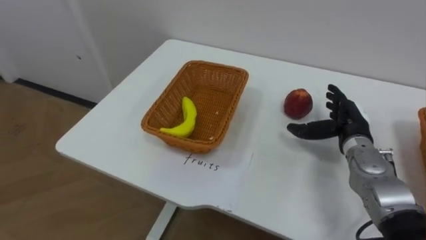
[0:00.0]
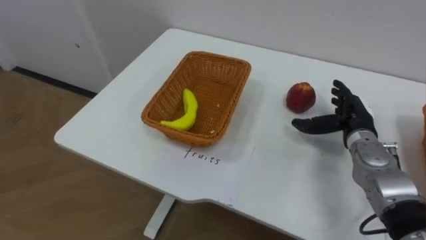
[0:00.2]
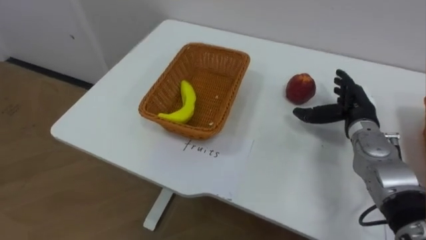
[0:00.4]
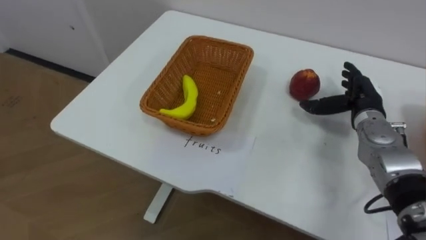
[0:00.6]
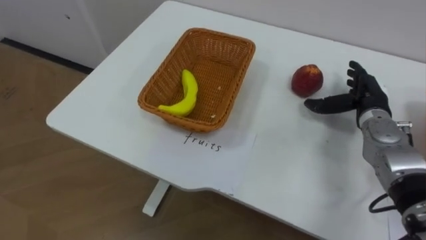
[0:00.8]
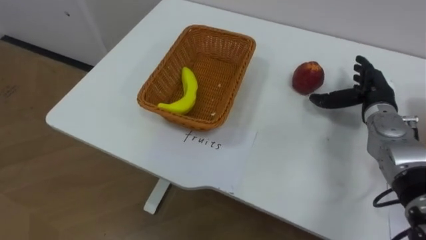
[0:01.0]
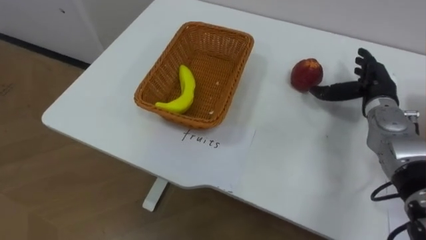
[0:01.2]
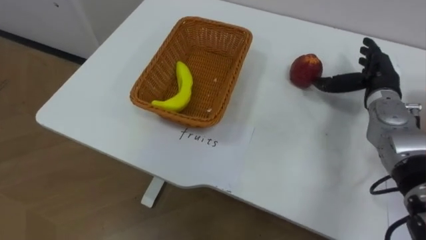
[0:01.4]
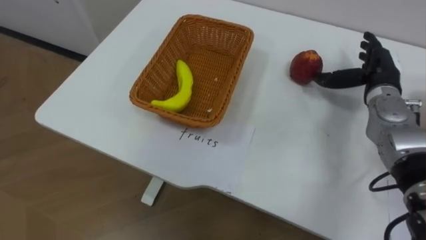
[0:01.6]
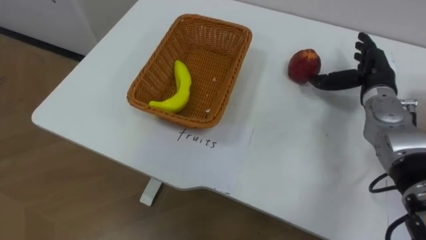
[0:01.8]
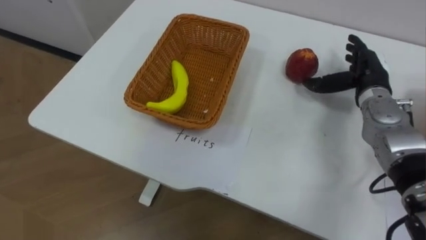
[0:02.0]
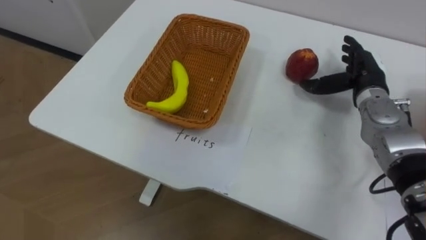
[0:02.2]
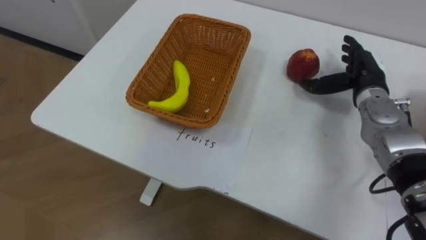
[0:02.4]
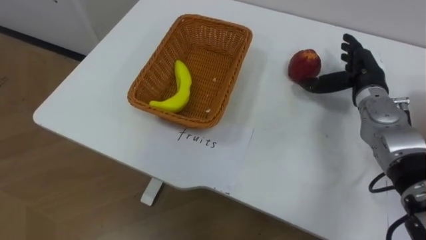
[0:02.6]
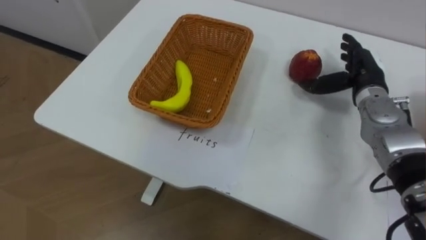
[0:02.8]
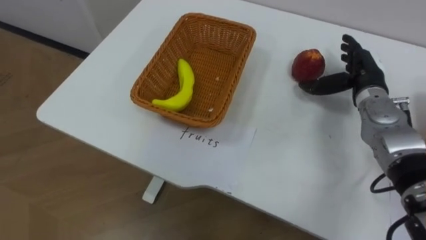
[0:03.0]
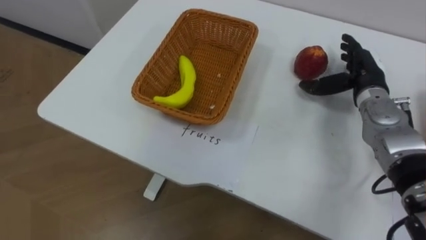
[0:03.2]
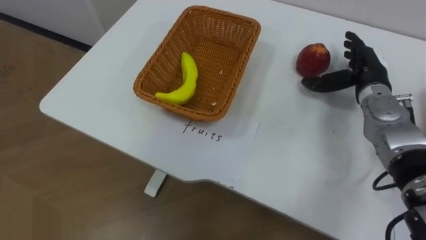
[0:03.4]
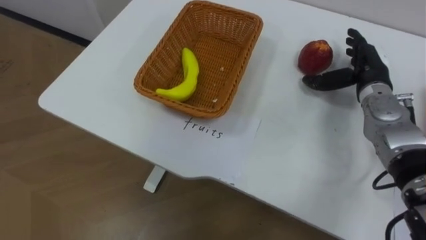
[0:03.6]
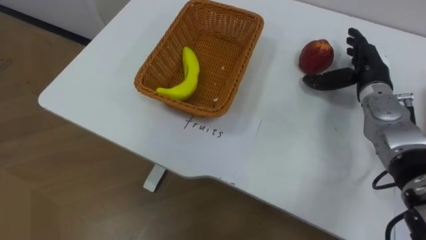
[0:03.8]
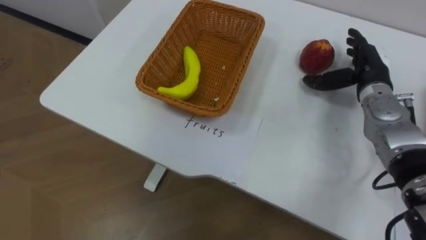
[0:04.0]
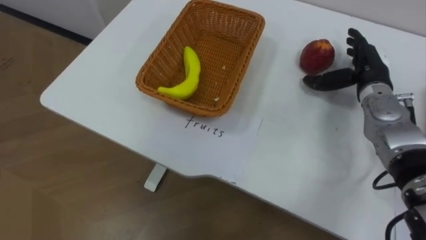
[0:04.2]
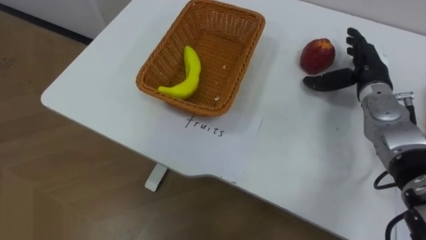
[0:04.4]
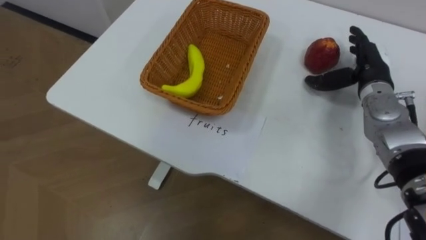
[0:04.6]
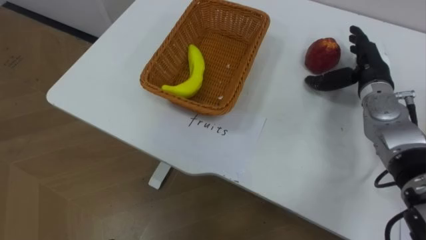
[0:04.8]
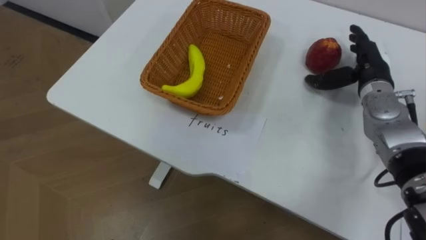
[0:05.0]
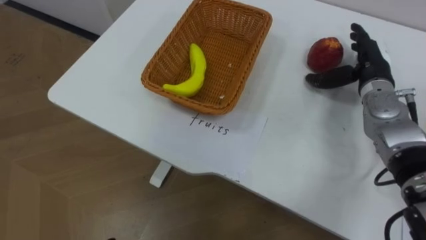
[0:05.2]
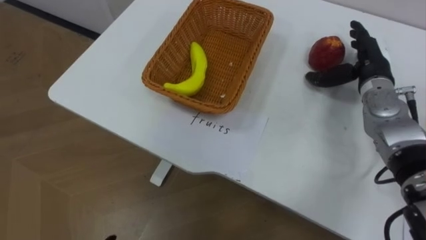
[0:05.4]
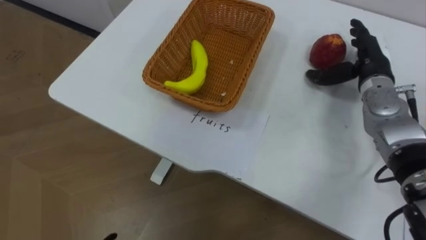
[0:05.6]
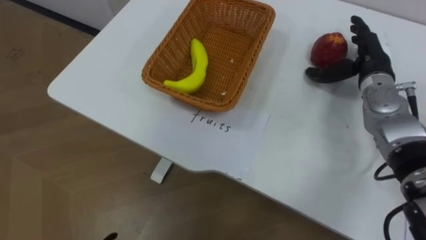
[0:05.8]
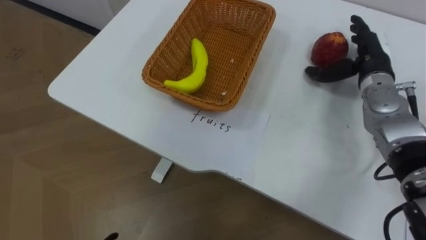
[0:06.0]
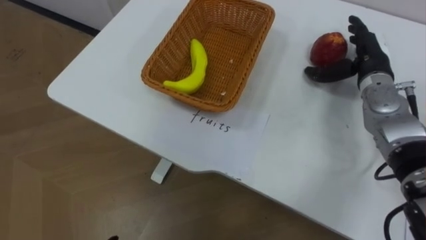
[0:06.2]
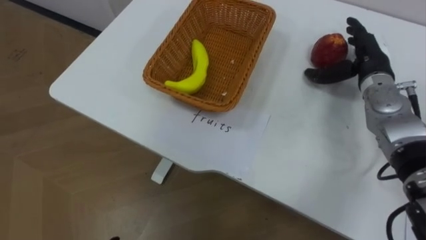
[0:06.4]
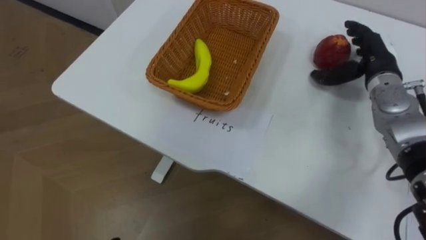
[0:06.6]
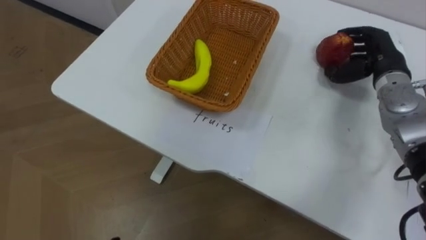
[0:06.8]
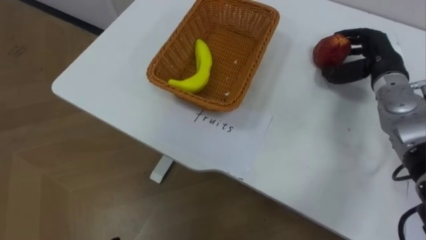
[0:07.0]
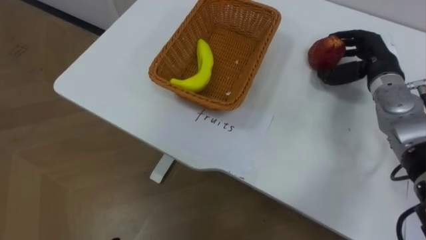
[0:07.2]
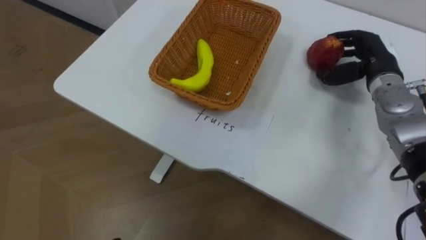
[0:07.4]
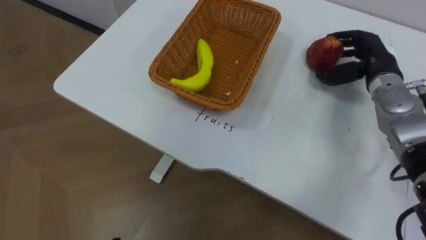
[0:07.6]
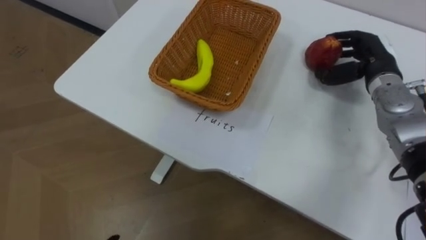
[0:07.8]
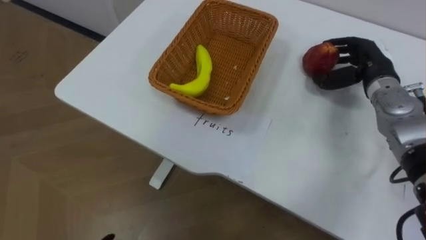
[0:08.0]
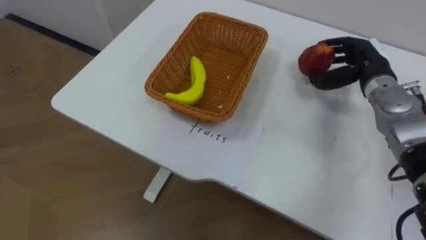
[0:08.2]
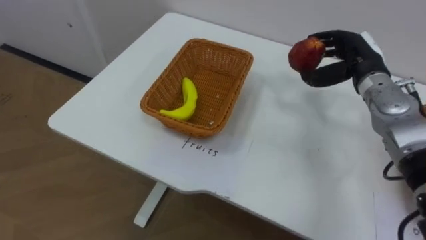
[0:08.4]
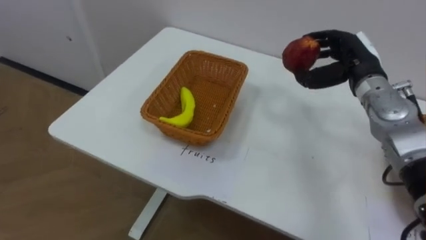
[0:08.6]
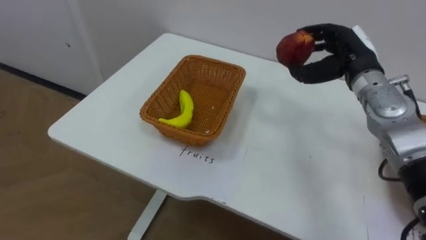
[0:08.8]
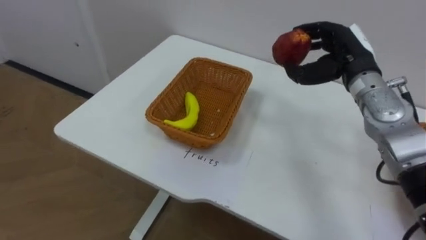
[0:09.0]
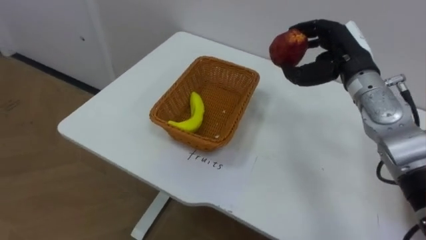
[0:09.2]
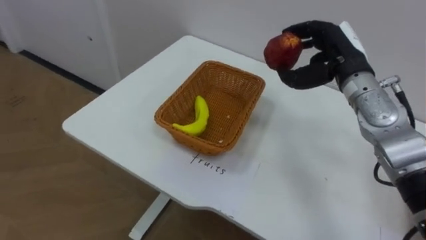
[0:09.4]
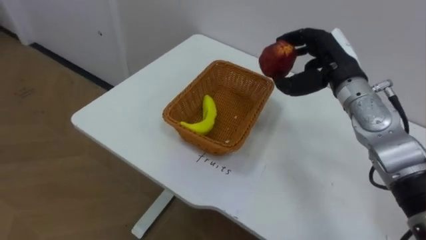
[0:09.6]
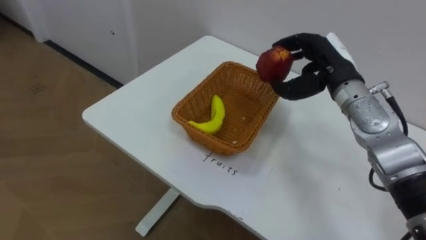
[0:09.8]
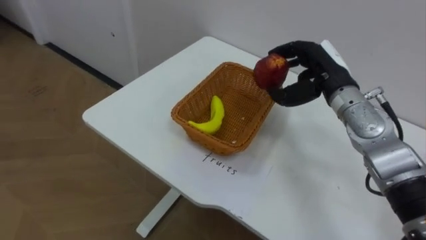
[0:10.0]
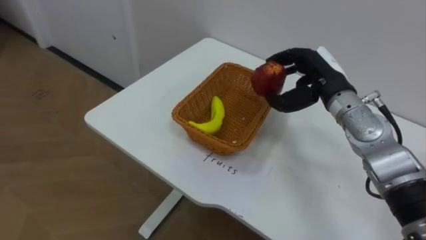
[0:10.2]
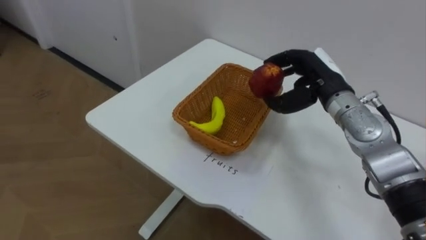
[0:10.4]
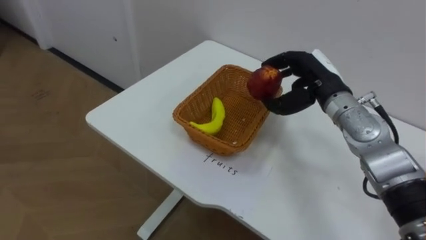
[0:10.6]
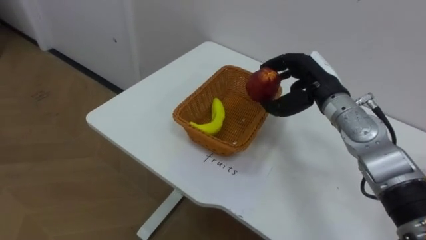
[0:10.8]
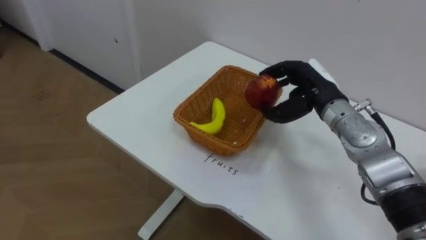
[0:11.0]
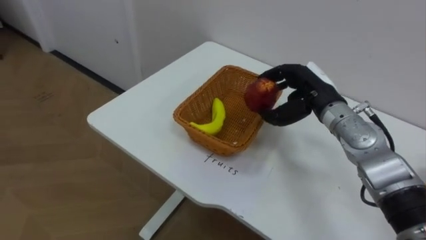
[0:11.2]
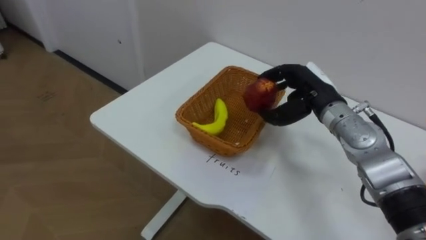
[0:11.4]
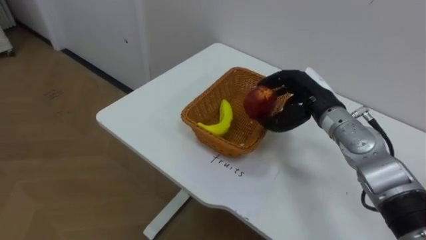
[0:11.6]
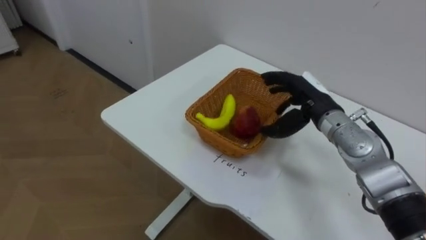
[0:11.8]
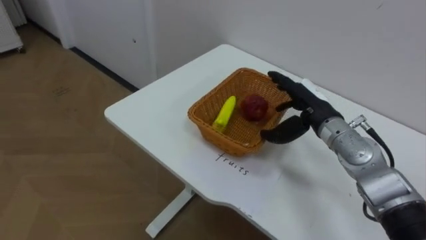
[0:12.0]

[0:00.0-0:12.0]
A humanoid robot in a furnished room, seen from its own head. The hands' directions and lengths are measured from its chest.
Task of the whole recording: Separate the items on the table and place them into the two baskets.
0:00.0 to 0:01.6: The right hand moves upward and forward, about 10 cm.
0:06.0 to 0:07.6: The right hand closes.
0:07.6 to 0:09.0: The right hand travels to the left by about 5 cm.
0:09.0 to 0:10.4: The right hand moves approximately 5 cm.
0:10.4 to 0:12.0: The right hand shifts by about 5 cm, and opens up.

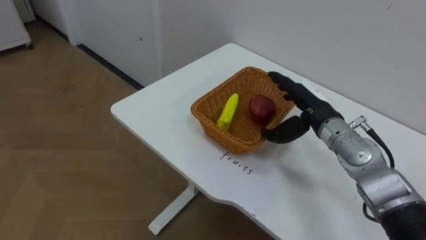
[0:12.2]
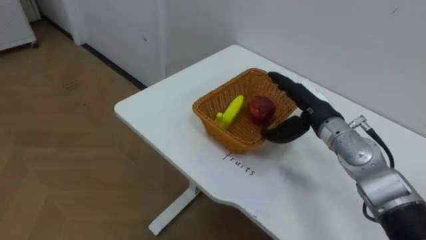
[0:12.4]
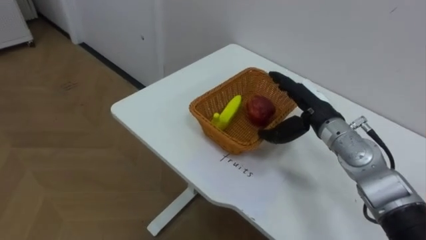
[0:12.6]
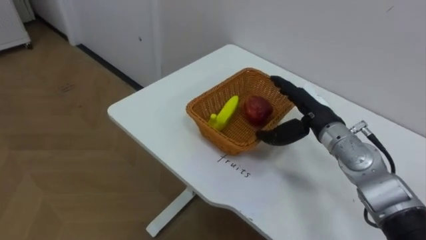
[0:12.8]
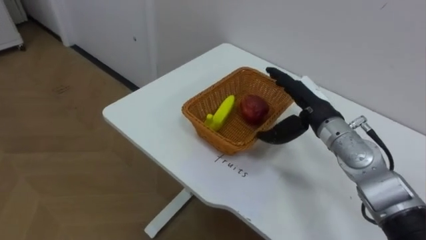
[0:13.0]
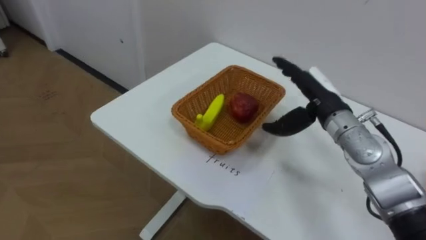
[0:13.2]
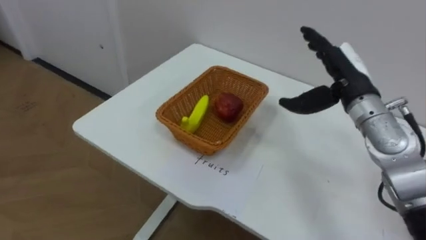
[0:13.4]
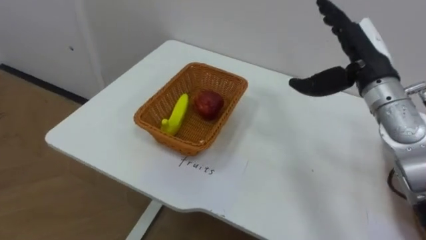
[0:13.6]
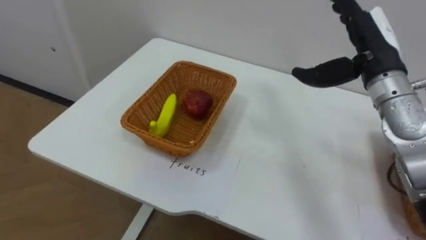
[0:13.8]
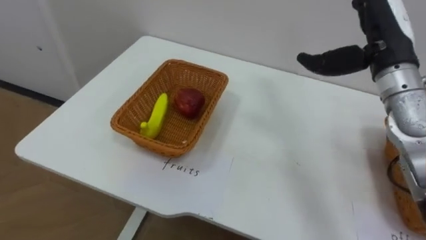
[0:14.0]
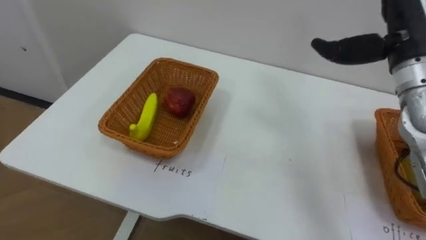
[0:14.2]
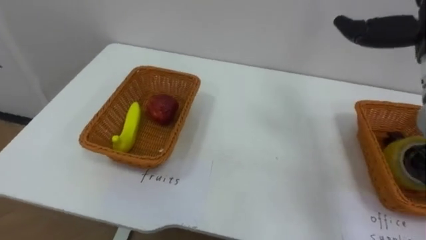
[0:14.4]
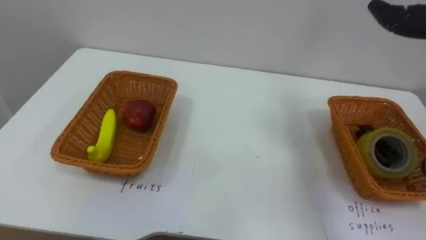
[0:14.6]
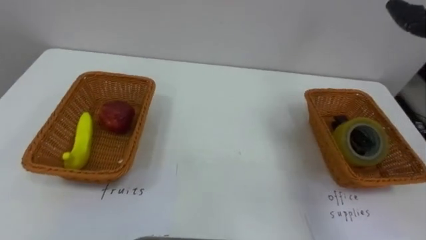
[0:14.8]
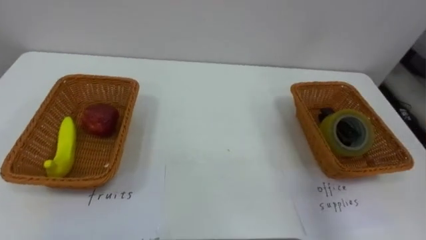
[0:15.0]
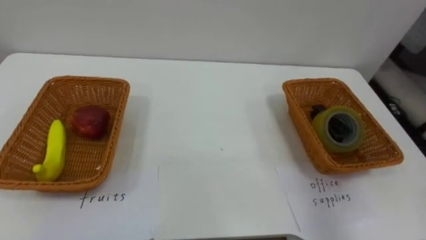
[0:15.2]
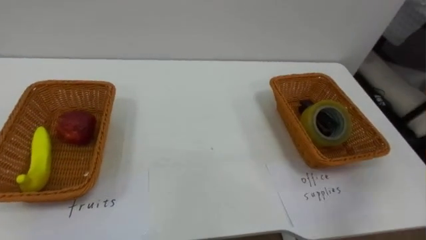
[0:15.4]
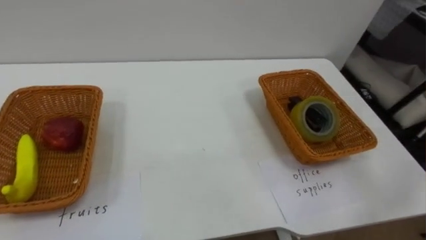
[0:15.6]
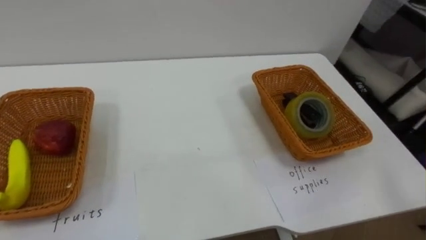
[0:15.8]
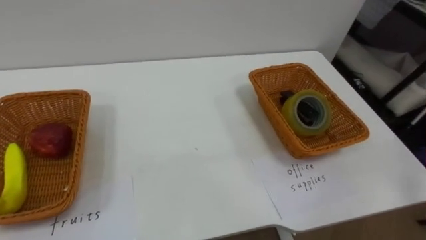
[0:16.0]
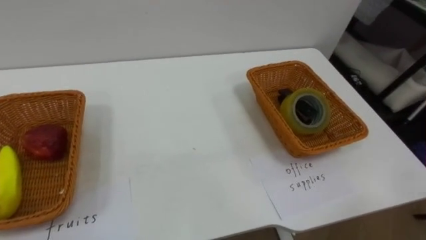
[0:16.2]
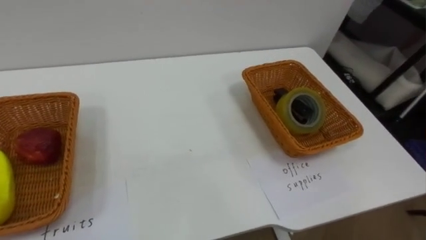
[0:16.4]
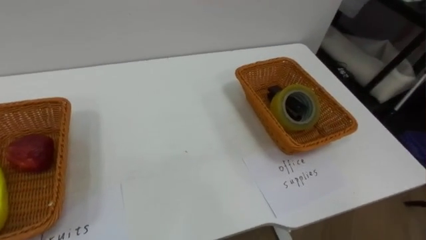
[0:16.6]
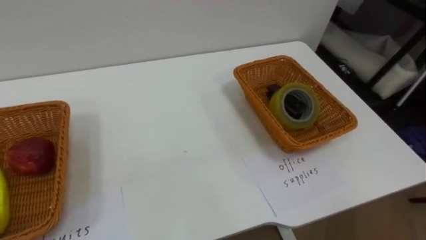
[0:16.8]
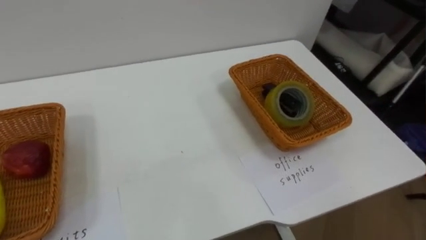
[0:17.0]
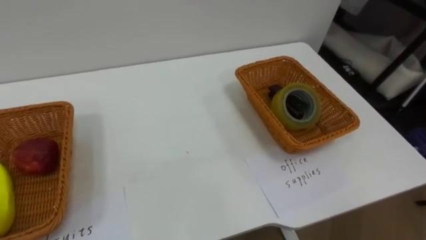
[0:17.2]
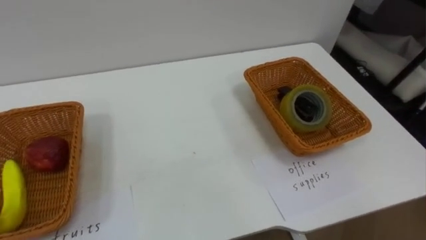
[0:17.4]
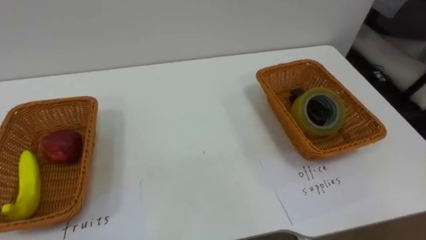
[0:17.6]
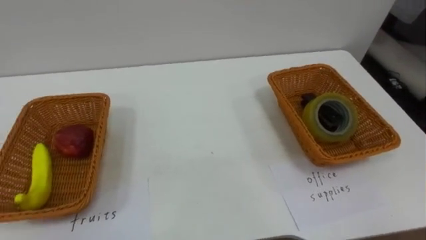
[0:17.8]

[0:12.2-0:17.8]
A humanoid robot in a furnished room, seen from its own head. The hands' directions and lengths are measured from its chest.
Task of the whole recording: Separate the items on the table and place them into the two baskets.
0:12.2 to 0:13.6: The right hand moves upward and to the right, about 10 cm.
